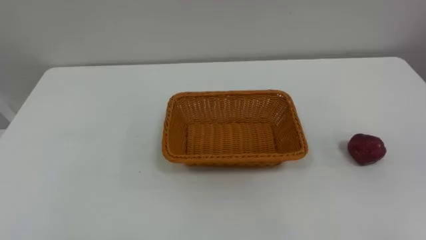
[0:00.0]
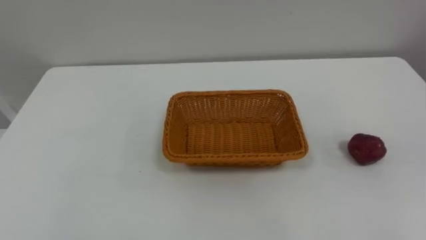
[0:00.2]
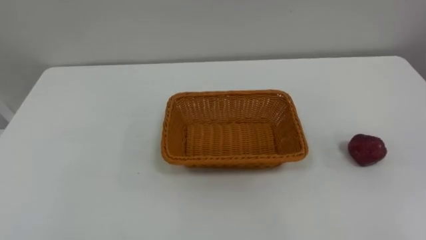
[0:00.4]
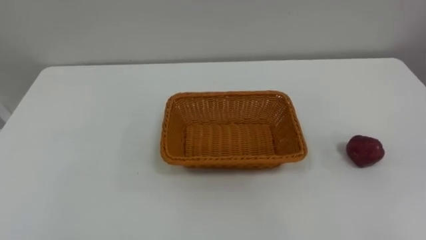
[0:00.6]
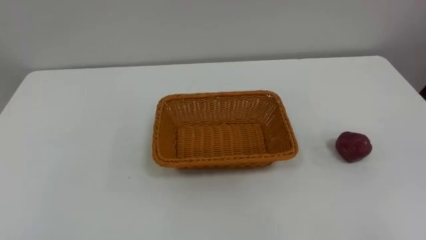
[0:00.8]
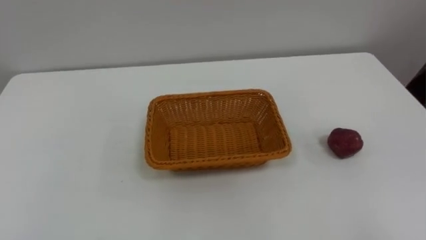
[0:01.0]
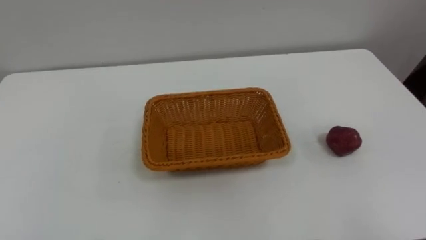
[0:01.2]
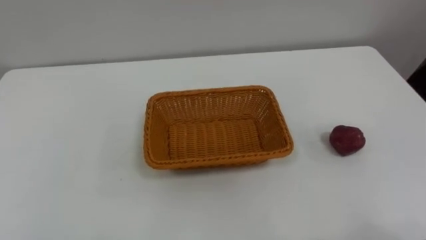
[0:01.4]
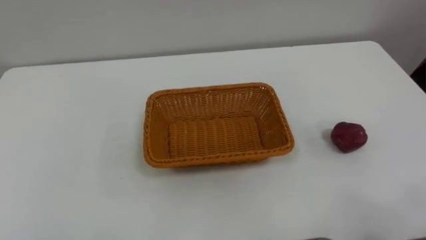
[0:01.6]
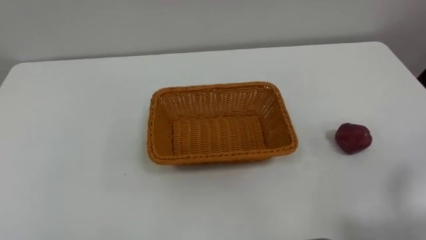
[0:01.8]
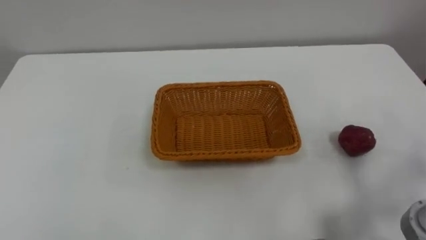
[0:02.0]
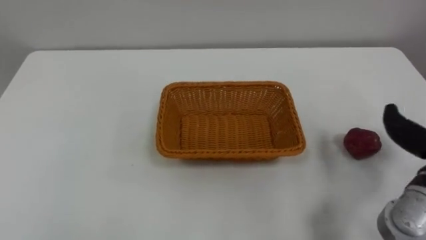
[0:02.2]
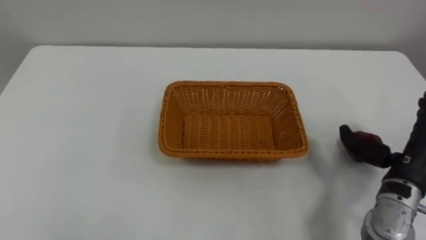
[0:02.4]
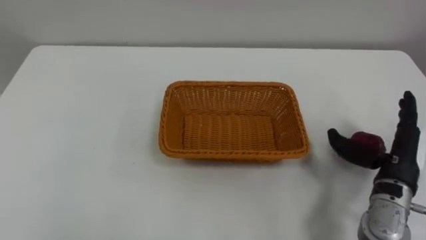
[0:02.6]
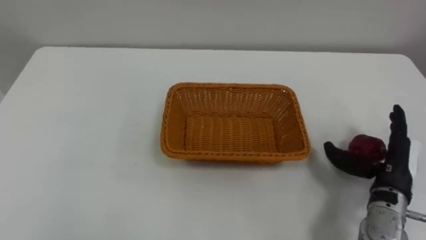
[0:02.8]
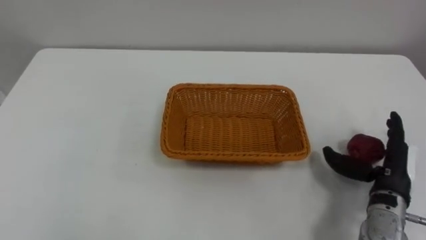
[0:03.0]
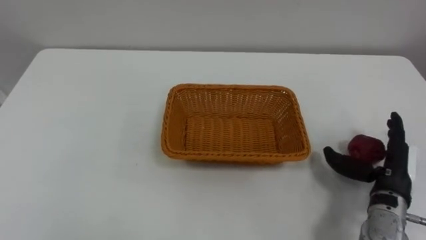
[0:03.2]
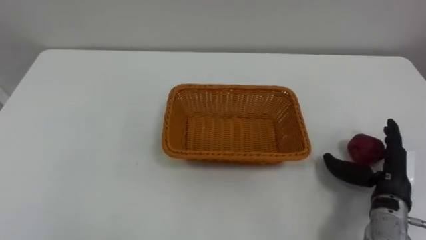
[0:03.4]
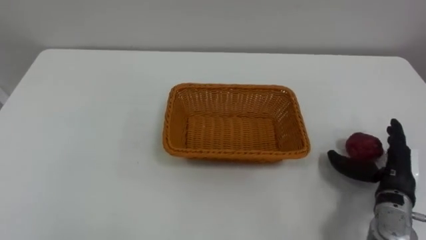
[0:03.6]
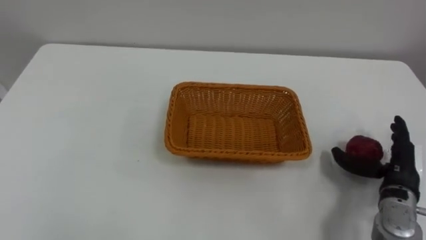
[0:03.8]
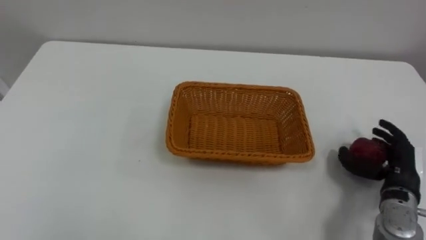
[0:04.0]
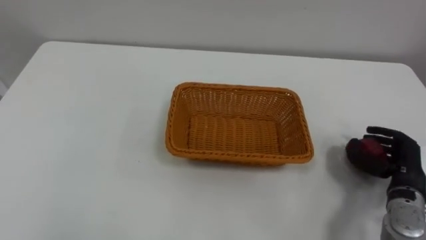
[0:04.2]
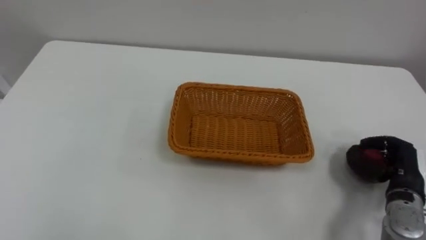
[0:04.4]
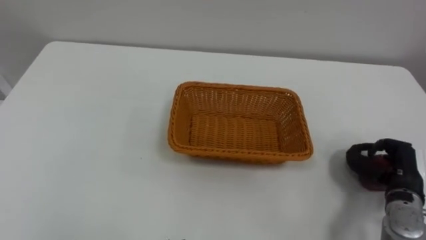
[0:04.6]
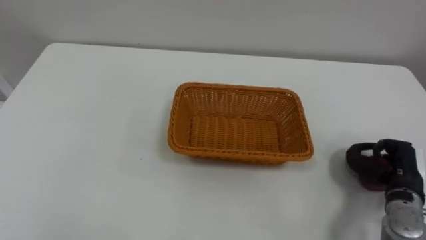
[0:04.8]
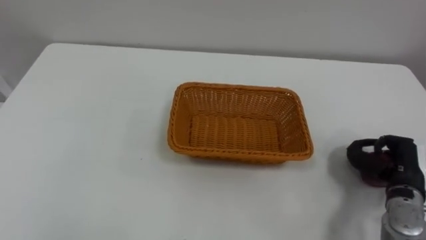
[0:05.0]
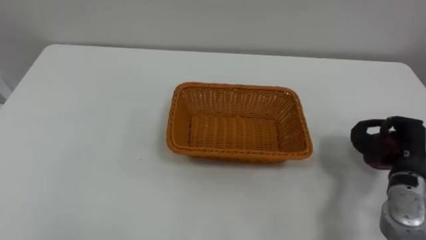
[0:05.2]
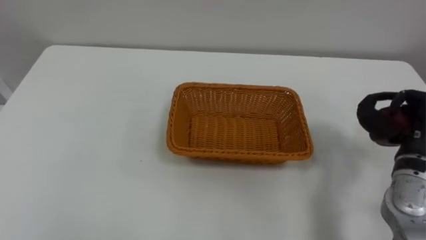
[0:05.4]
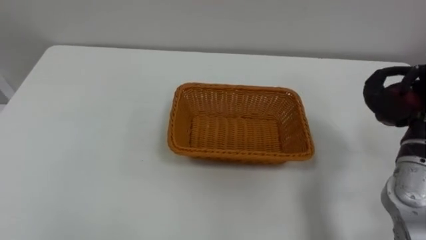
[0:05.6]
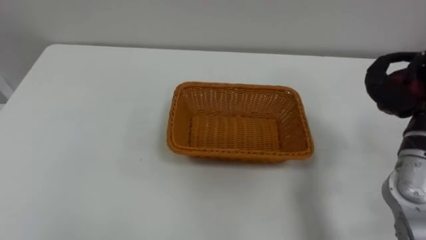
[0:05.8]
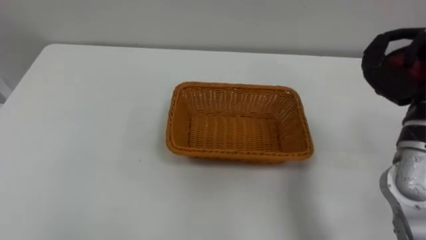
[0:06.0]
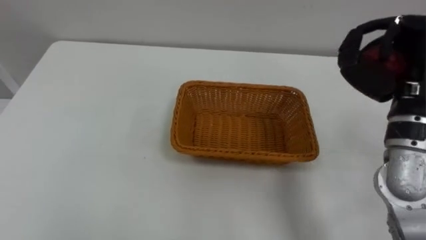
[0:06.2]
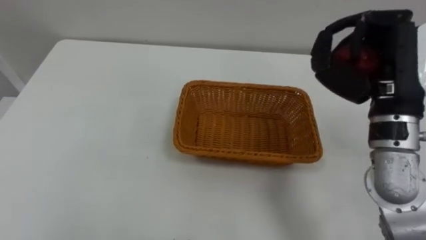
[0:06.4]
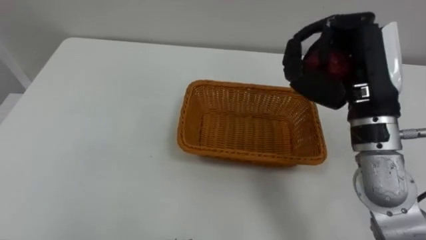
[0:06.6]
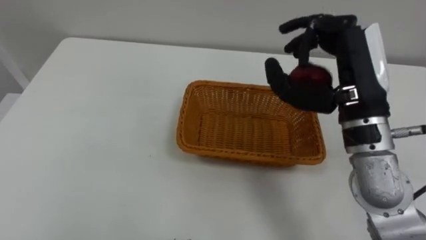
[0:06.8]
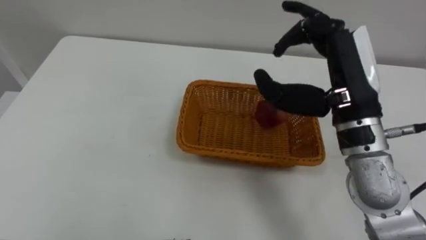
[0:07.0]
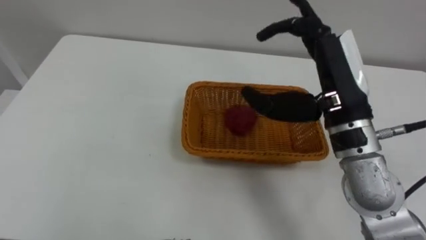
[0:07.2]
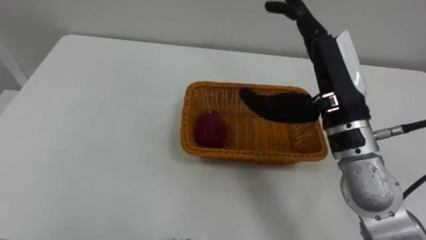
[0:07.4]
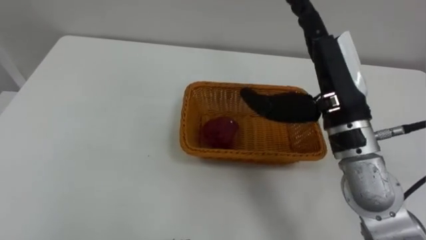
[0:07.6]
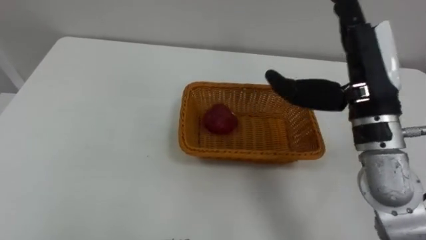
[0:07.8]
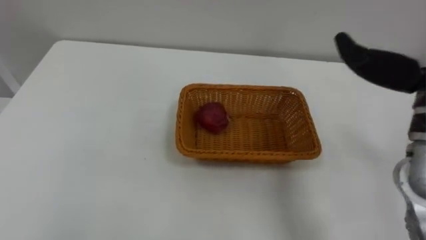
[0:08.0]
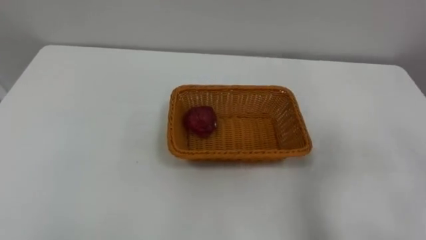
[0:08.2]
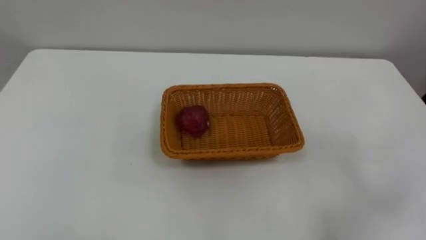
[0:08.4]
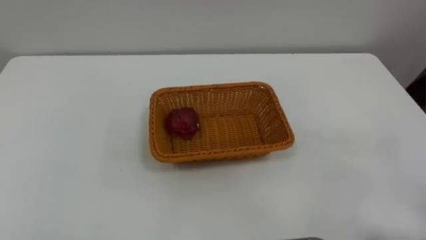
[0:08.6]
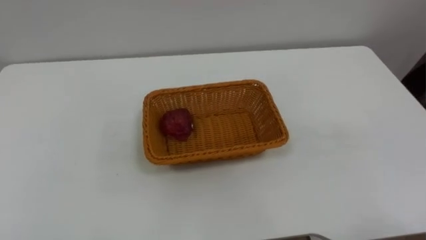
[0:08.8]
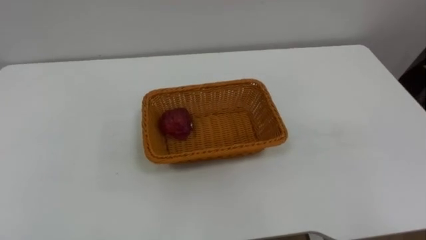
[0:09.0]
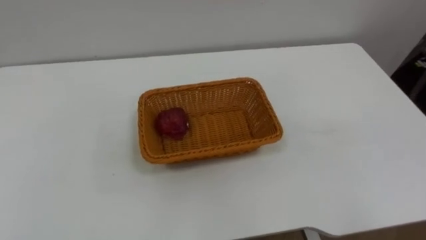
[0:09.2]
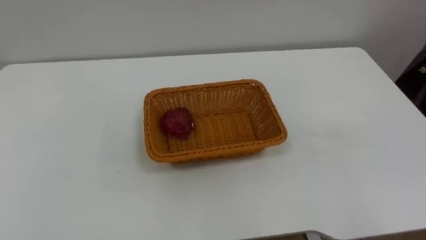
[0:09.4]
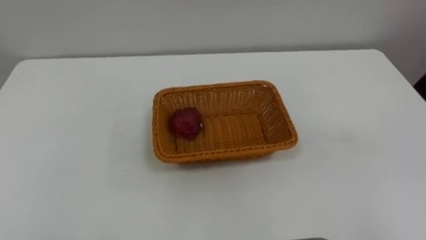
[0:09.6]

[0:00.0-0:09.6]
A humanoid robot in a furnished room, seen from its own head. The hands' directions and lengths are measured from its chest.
Task of the whole recording: Pick the apple and place it in the box.
0:03.2 to 0:04.8: The right hand closes its fingers.

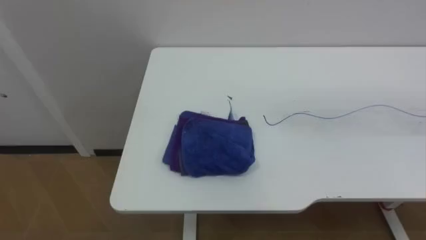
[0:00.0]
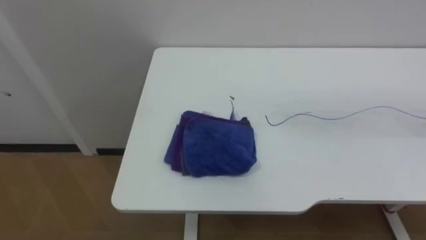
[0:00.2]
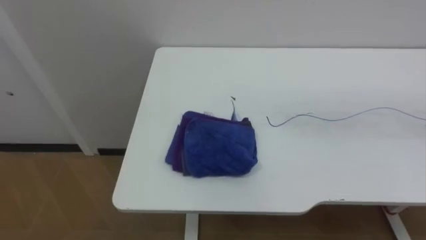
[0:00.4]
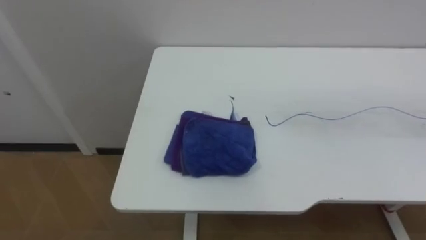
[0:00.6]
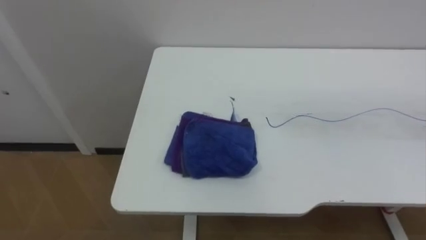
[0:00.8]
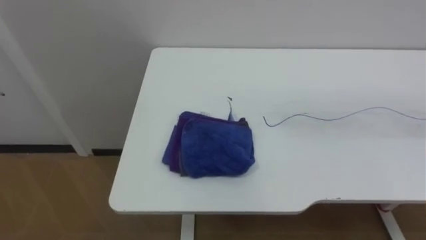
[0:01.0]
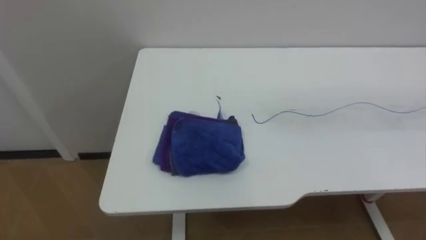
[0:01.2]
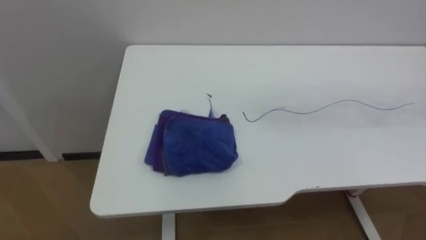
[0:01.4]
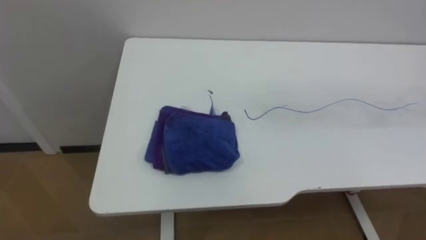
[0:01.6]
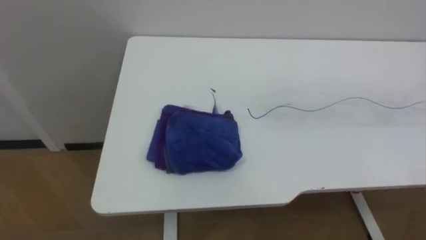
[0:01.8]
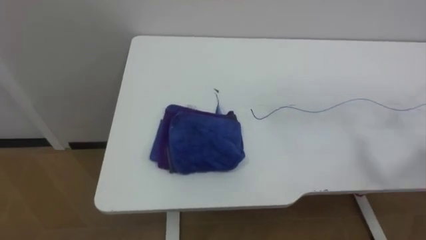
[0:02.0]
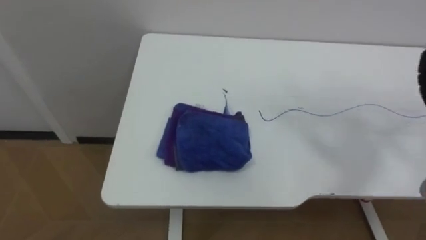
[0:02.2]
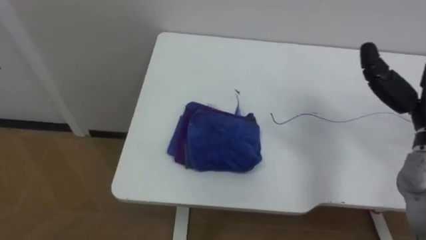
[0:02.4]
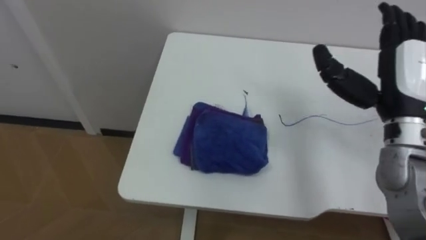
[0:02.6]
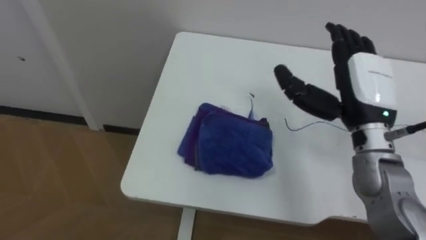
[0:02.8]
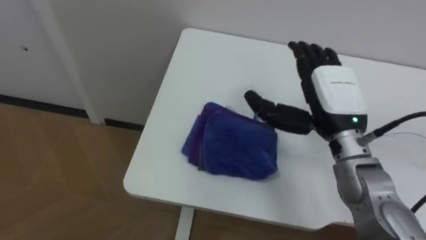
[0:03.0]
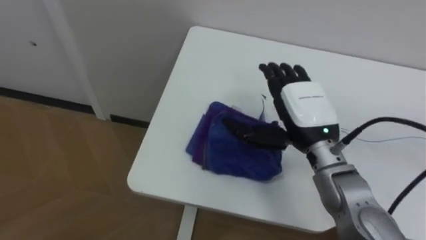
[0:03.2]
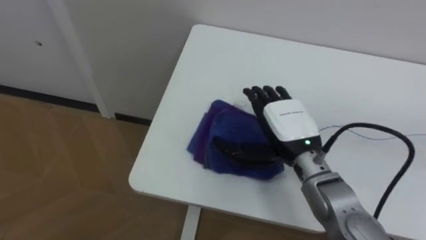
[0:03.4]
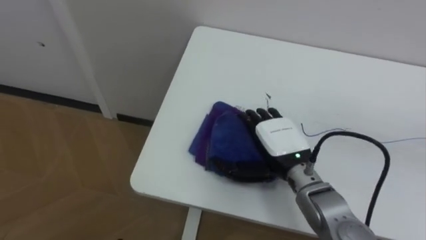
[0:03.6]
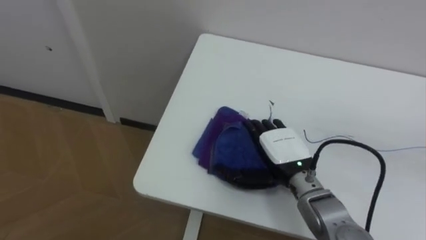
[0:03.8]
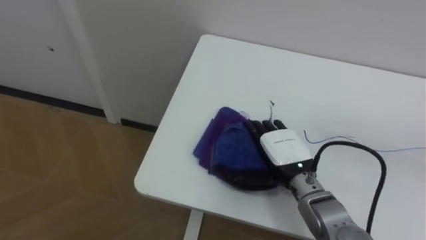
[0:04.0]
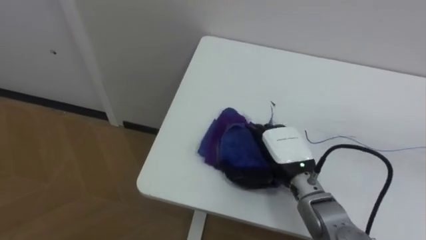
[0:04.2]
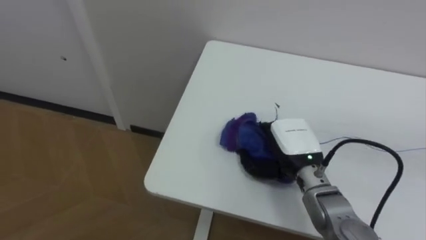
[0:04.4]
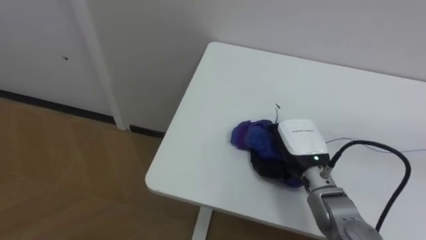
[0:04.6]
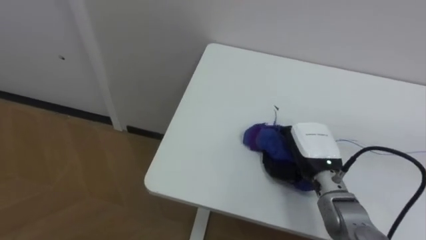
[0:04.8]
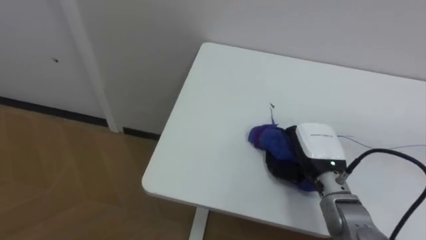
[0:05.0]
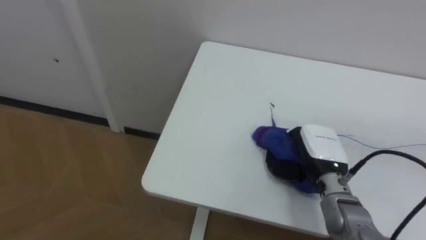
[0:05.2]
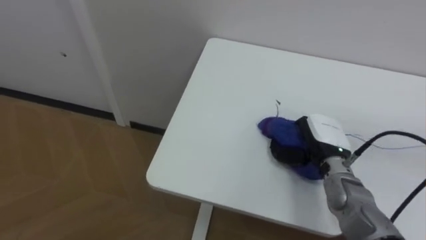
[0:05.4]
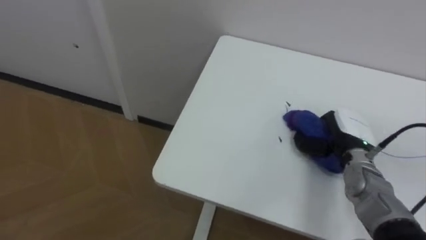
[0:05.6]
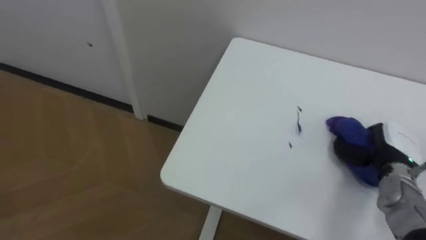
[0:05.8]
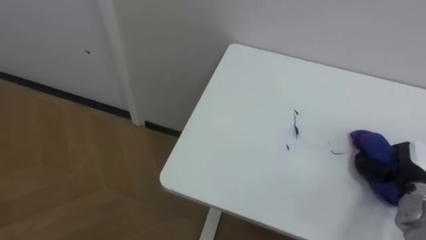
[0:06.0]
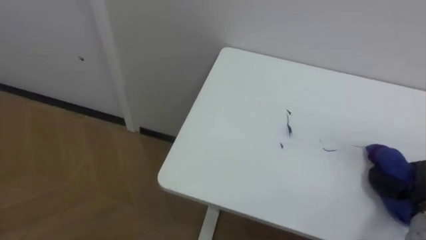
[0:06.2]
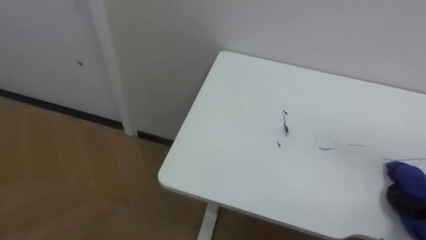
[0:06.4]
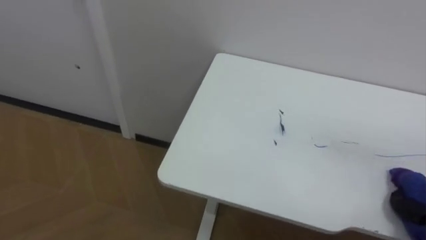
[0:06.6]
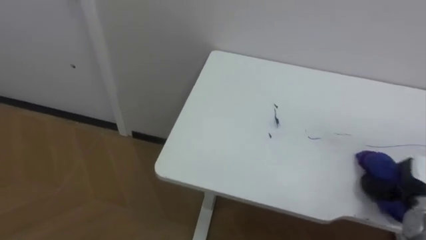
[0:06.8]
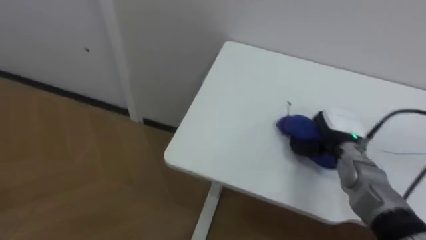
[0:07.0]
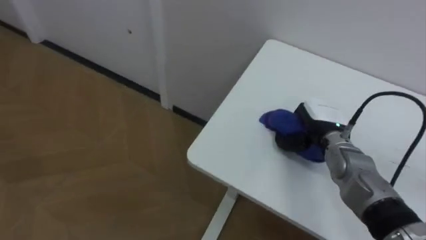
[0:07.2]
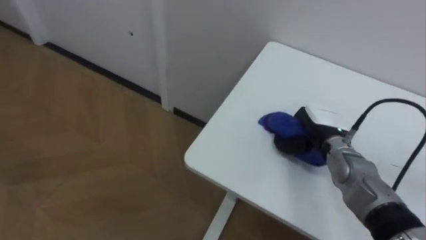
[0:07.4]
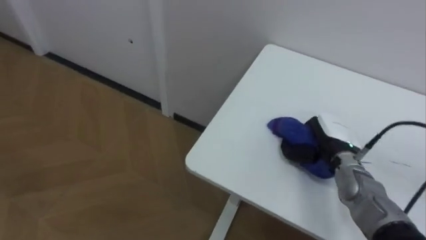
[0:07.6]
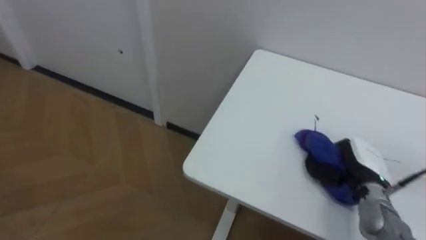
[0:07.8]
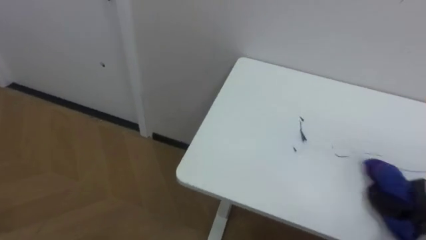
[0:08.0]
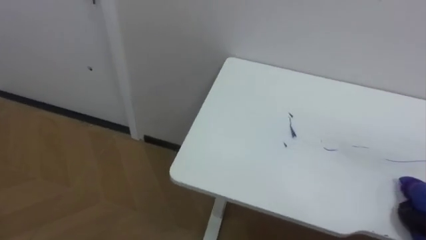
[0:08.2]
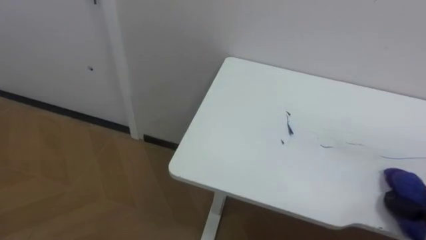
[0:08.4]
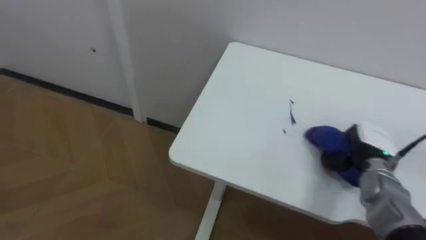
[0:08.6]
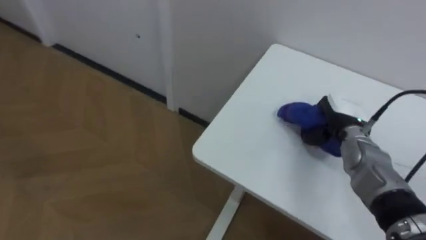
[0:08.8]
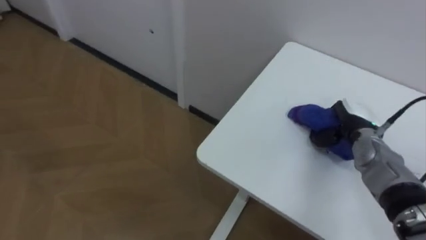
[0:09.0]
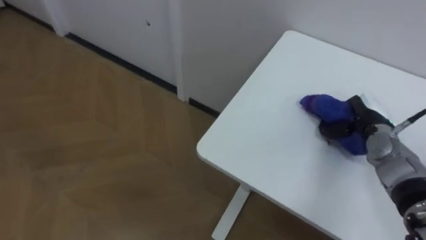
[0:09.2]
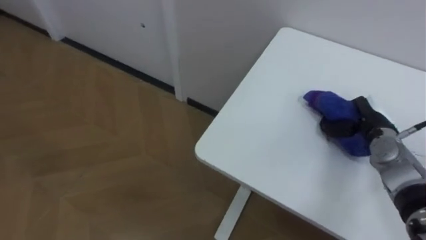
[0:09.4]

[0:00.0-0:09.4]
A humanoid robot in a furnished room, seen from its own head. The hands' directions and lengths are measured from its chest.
Task of the whole recording: Wipe the blue pen marks off the table with the rag.
0:03.2 to 0:04.8: The right hand shifts roughly 10 cm downward, and closes up.
0:04.8 to 0:06.2: The right hand is displaced to the right by about 20 cm.
